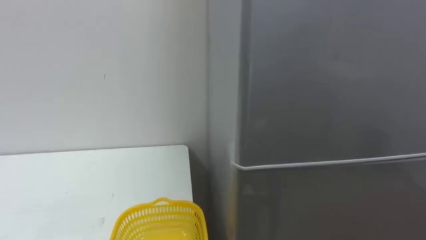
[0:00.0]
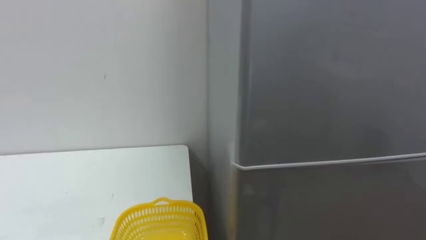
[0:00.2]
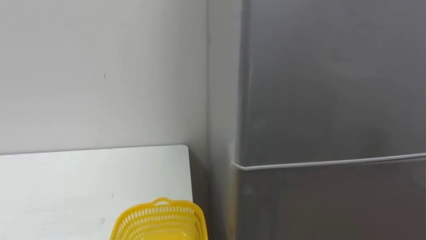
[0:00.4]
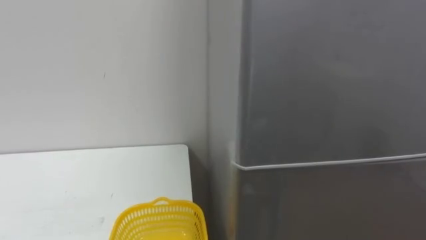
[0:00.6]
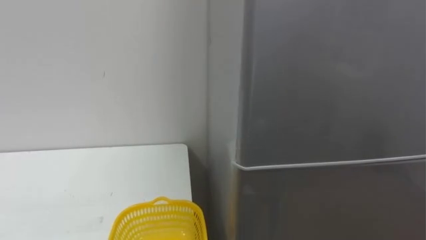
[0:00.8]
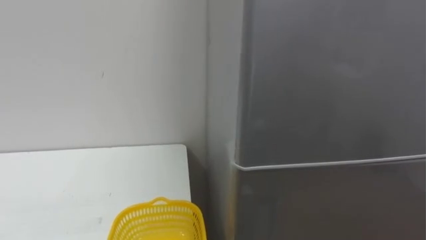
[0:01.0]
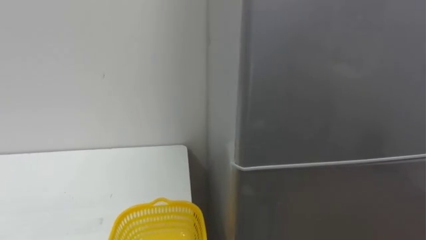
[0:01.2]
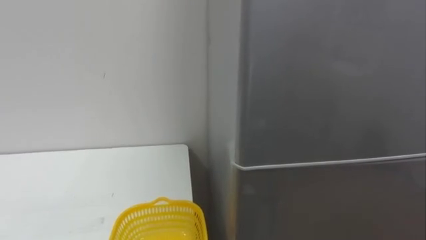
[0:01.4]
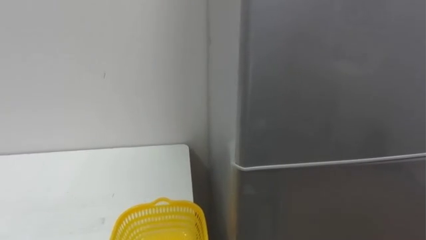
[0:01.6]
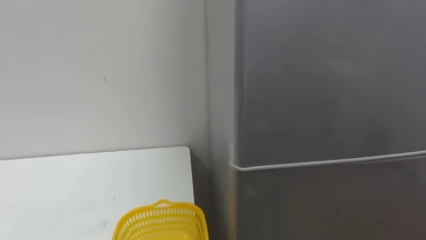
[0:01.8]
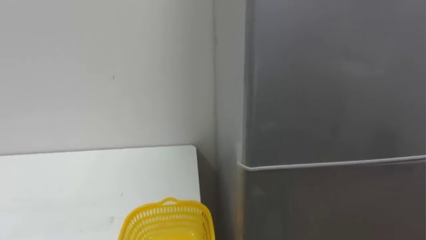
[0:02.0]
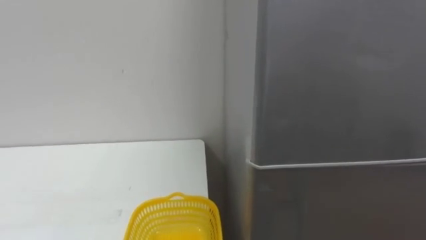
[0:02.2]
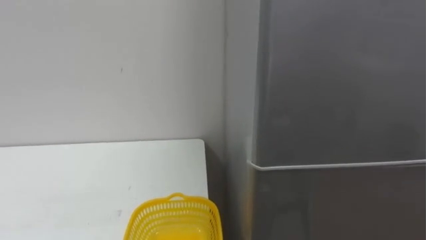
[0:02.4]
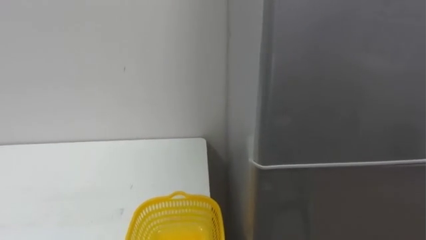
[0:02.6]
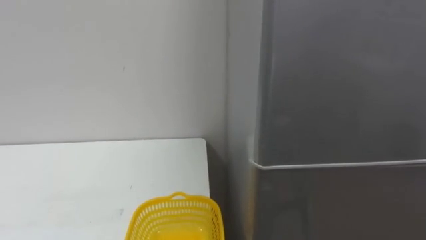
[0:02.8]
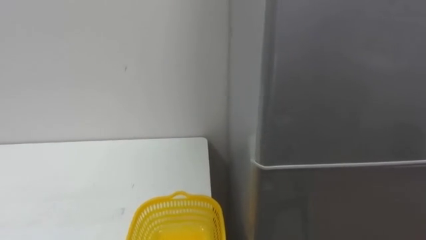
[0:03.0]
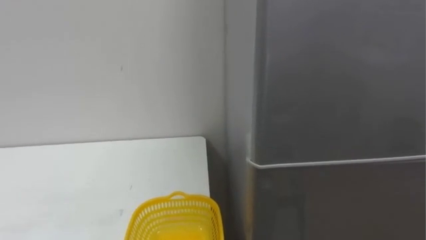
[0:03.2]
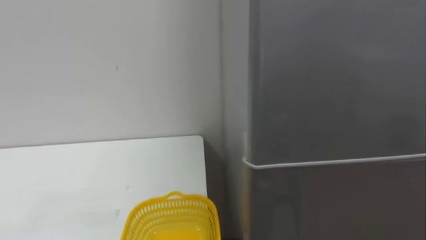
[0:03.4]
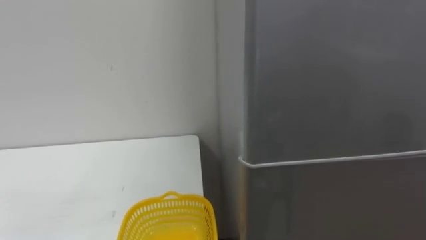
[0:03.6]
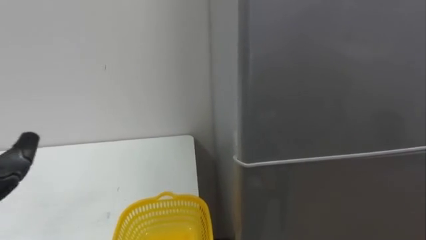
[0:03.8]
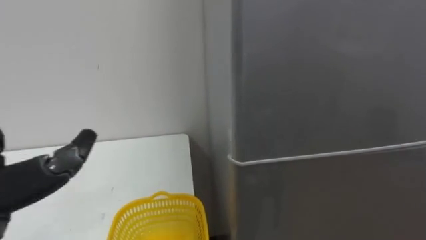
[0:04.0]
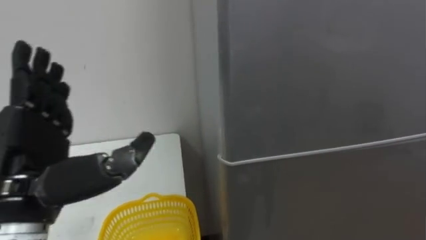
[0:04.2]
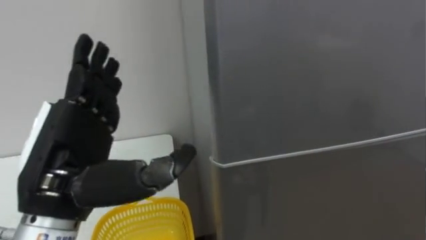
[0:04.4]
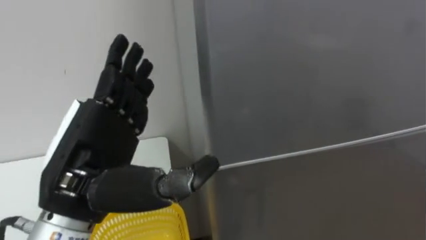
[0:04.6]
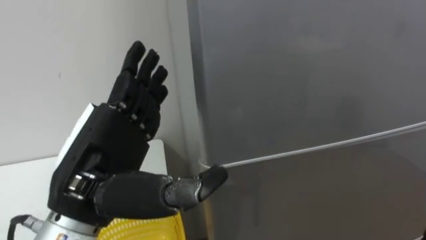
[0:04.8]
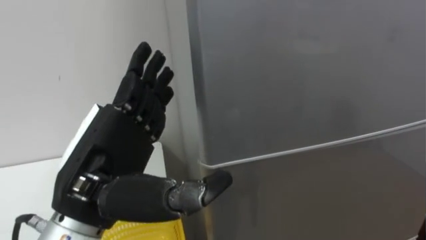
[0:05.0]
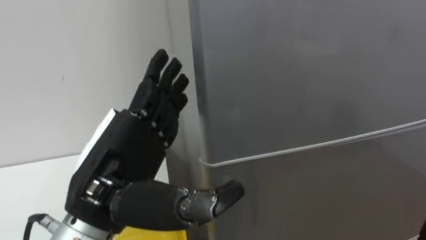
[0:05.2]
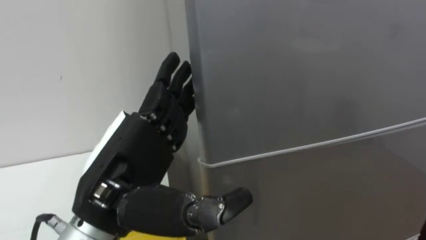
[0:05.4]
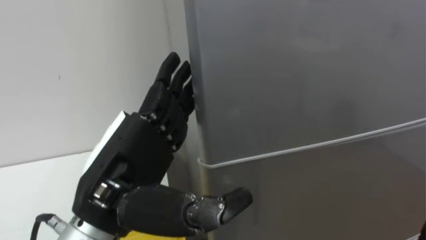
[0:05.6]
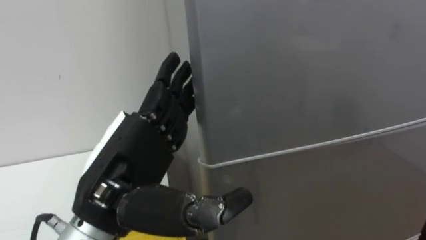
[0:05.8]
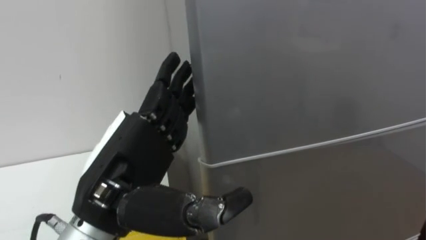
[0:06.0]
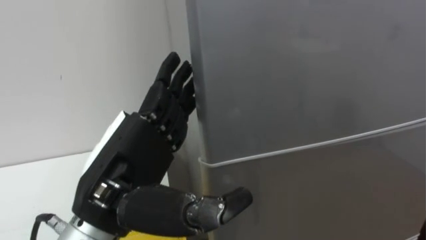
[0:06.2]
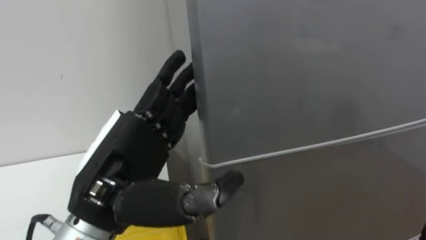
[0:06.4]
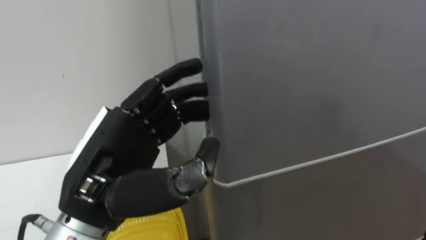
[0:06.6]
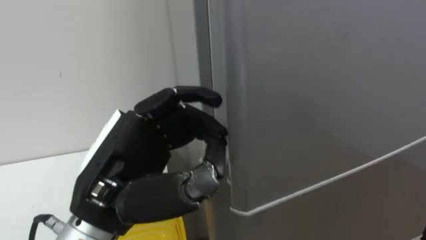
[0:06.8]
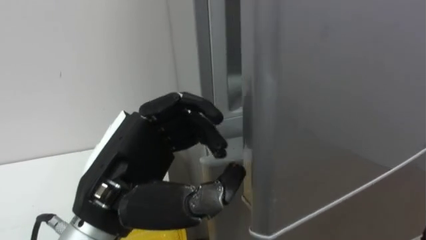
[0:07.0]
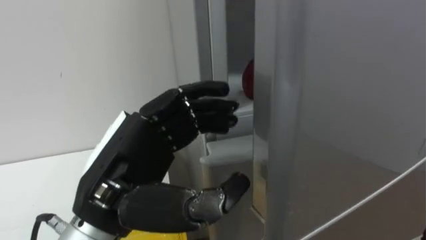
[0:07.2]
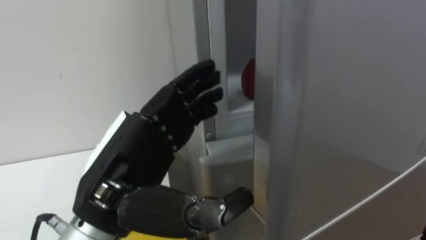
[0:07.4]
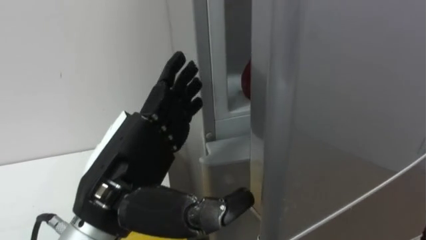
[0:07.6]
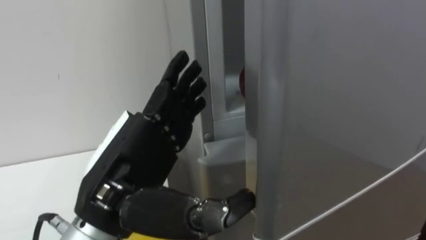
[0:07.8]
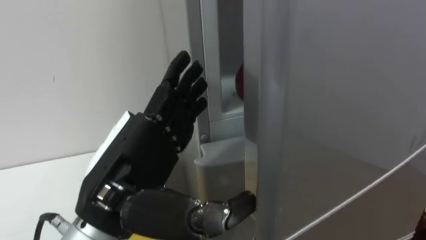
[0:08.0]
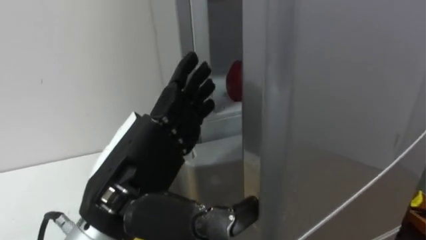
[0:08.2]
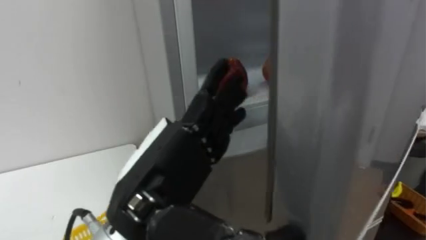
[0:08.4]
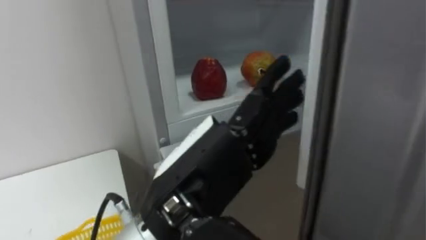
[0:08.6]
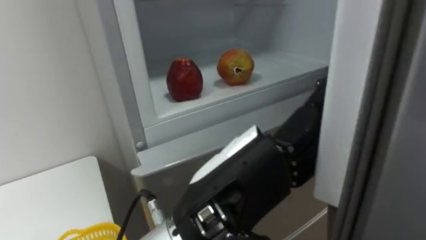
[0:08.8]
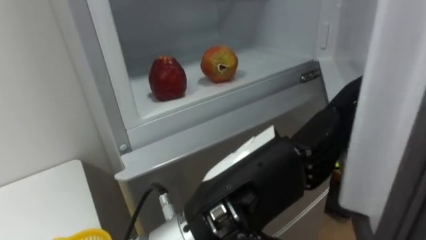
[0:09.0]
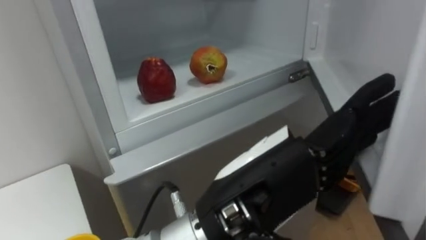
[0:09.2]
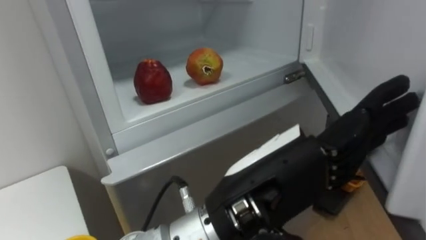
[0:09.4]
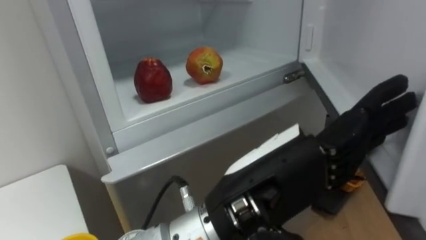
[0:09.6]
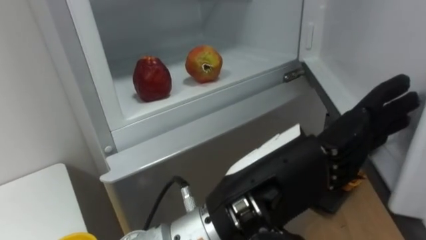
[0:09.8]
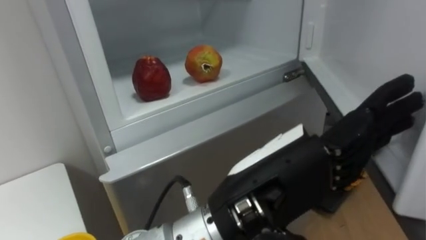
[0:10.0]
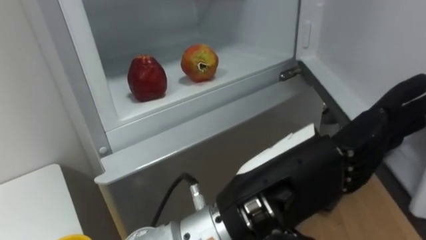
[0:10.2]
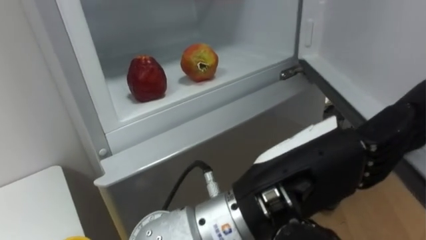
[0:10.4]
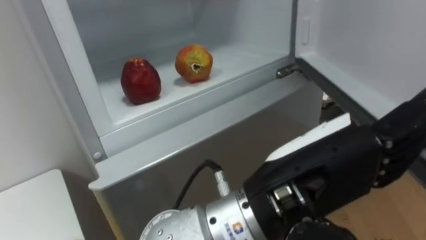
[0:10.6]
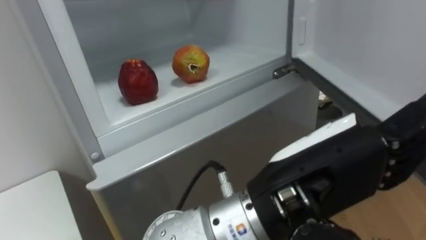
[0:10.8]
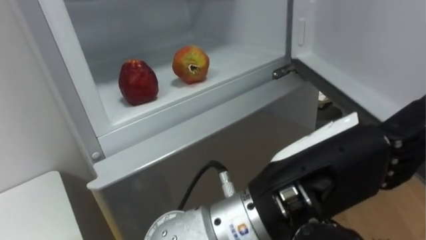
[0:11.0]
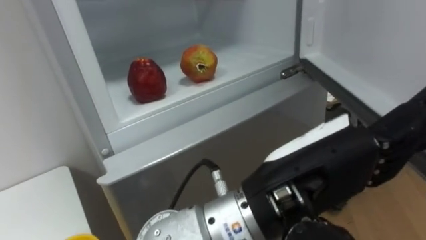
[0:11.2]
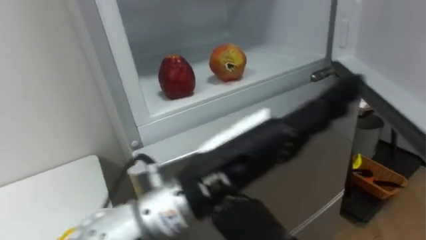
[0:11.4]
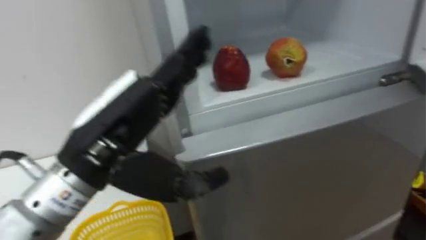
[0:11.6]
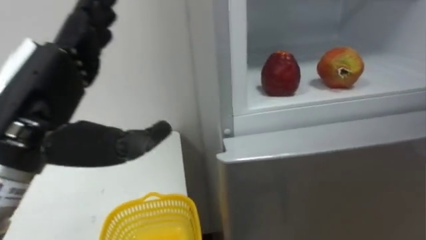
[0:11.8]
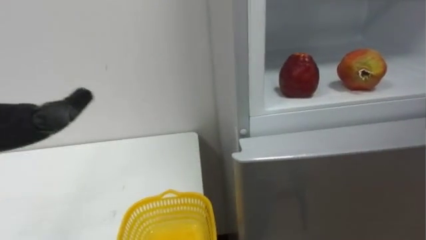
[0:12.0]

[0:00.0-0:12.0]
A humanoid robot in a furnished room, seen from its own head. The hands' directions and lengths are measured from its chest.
Task of the whole recording: Open the refrigerator door, take out the apple and the pomegranate, place them in the fruit basket on the left, and close the refrigerator door.
0:04.4 to 0:06.0: The left hand heads to the right, covering approximately 5 cm.
0:06.0 to 0:07.6: The left hand closes, then opens again.
0:07.6 to 0:09.0: The left hand is displaced to the right by roughly 10 cm.

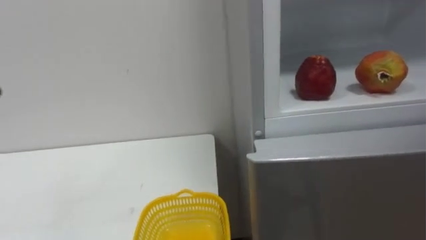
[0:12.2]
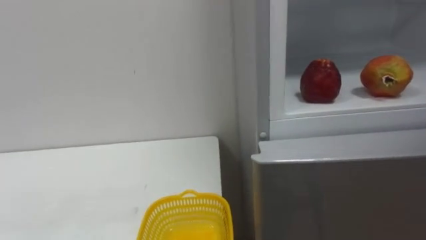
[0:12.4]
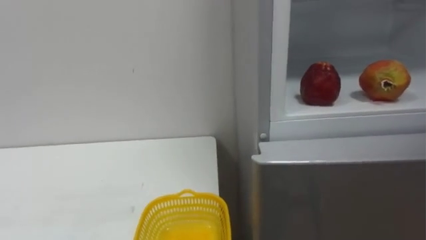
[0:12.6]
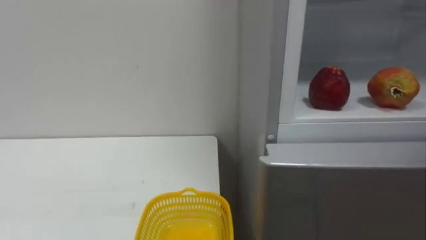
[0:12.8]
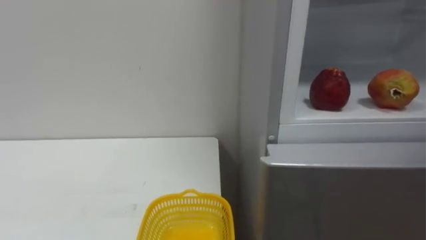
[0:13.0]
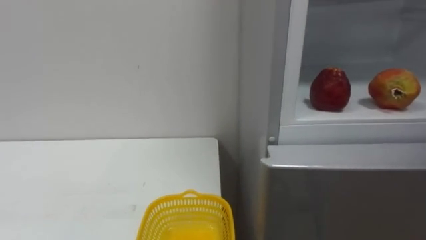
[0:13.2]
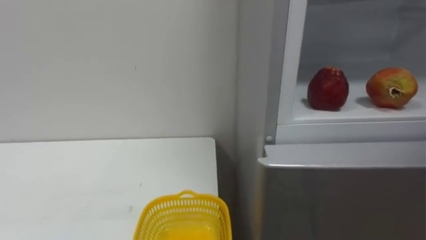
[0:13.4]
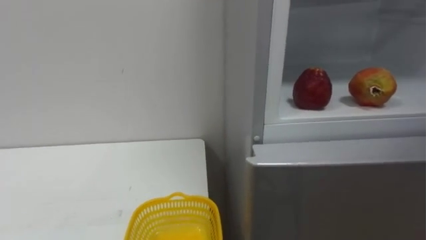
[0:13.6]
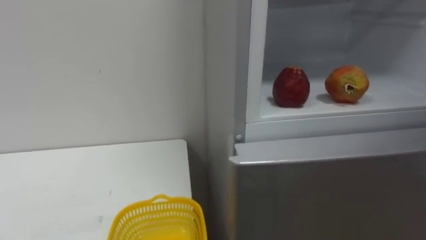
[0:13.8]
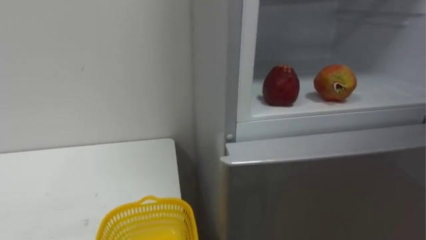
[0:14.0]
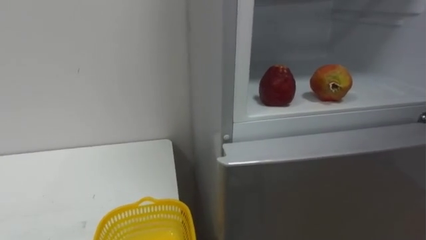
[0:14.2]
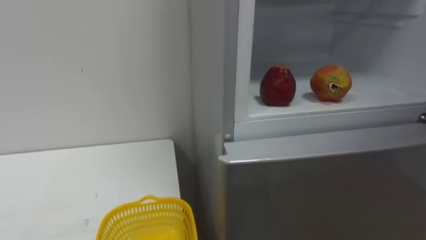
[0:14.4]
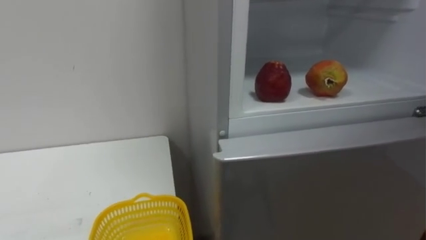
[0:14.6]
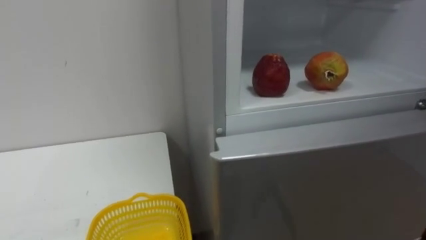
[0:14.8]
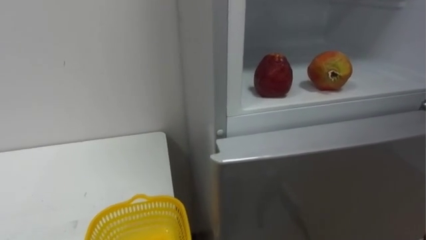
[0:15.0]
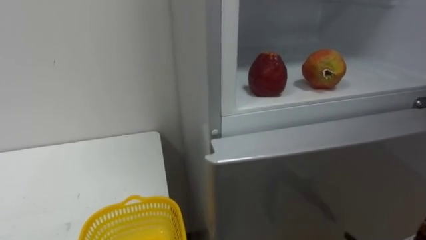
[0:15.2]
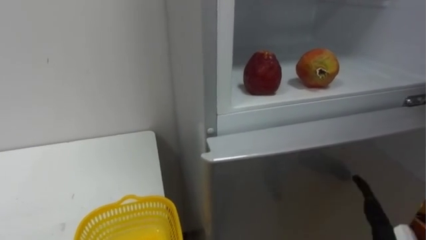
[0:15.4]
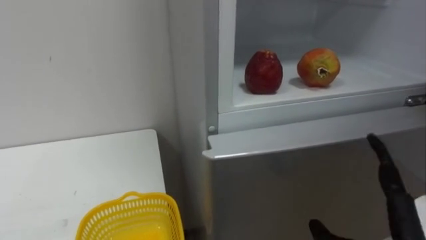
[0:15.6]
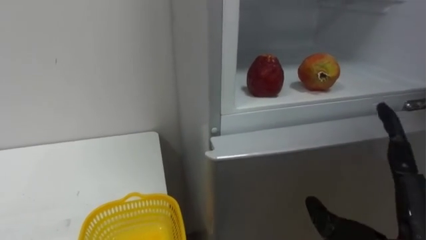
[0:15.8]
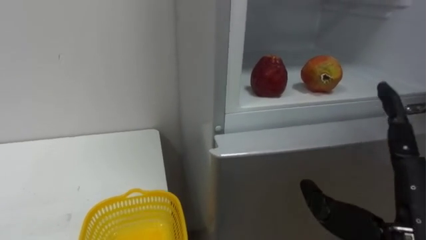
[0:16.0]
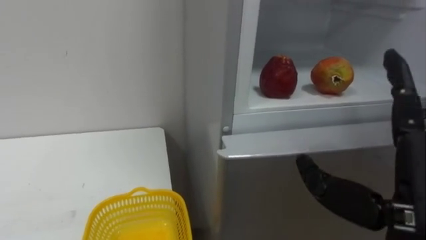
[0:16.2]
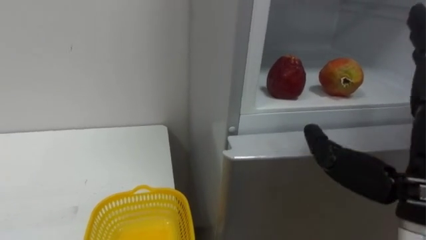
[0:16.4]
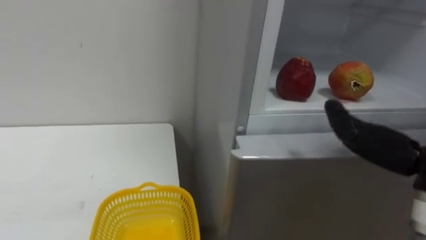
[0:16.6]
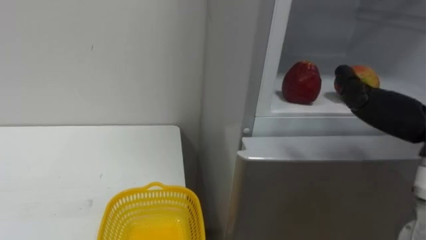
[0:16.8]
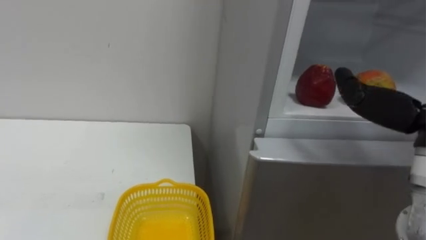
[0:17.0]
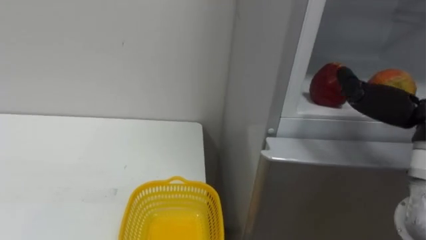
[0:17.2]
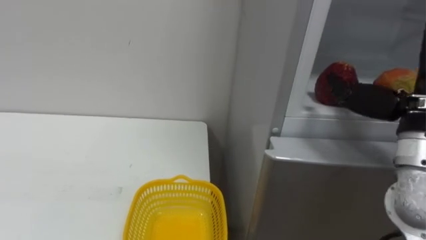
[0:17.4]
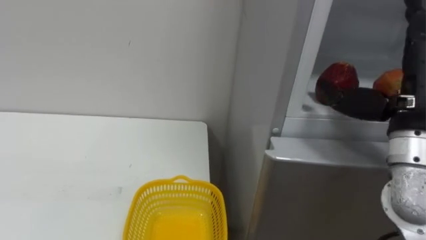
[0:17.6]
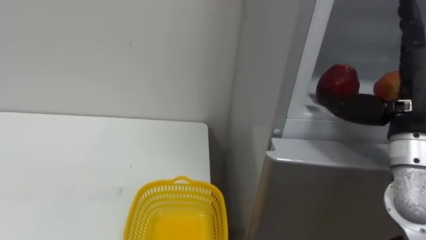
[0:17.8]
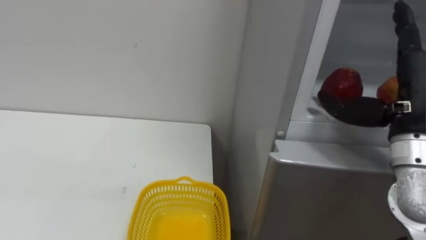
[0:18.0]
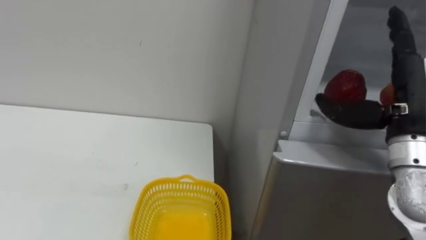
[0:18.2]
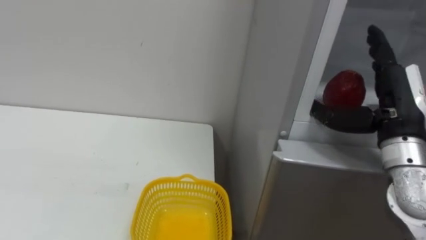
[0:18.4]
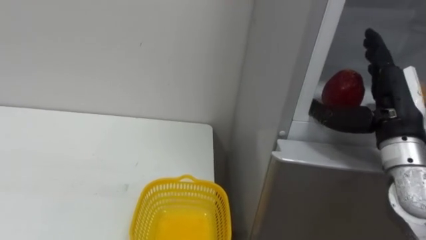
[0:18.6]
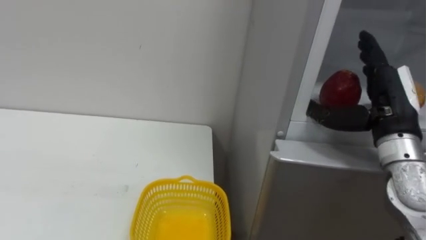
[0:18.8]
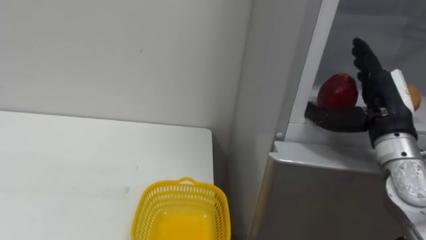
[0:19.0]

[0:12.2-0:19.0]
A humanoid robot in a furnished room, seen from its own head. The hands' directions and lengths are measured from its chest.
Task of the whole recording: Open the refrigerator door, take out the apple and the pomegranate, place them in the fruit basket on the left, and close the refrigerator door.
0:17.6 to 0:19.0: The right hand goes approximately 10 cm forward and downward.
